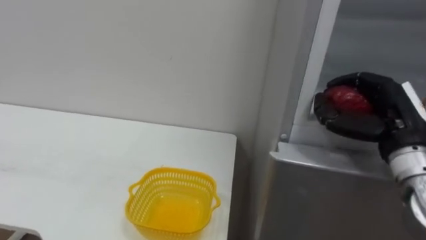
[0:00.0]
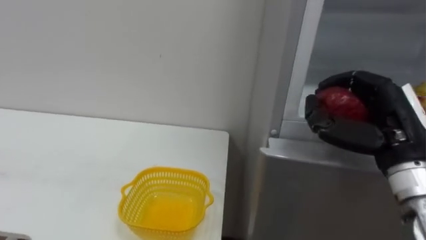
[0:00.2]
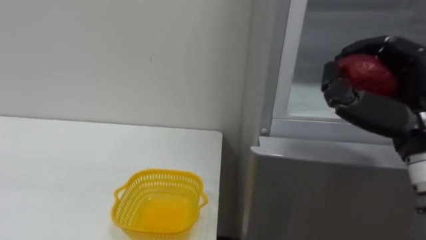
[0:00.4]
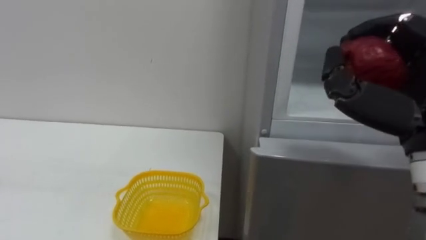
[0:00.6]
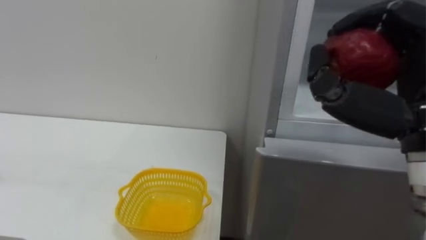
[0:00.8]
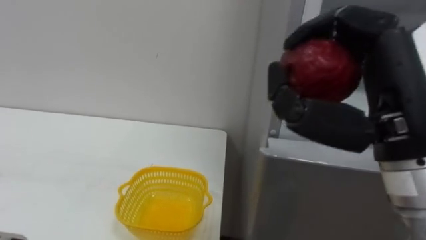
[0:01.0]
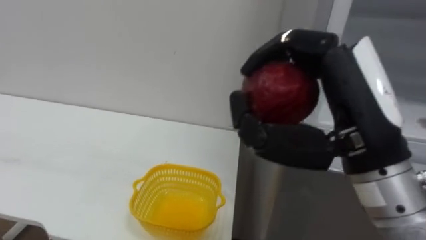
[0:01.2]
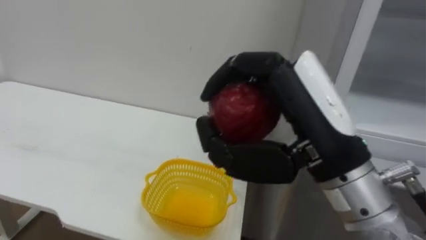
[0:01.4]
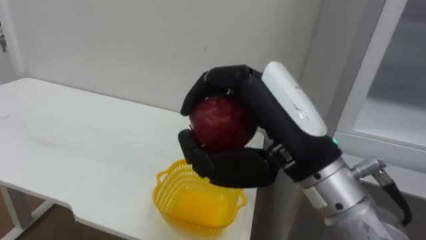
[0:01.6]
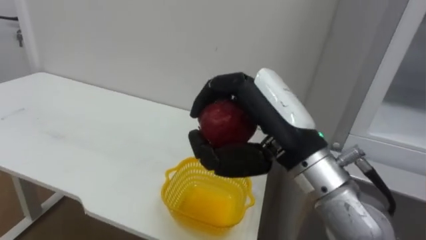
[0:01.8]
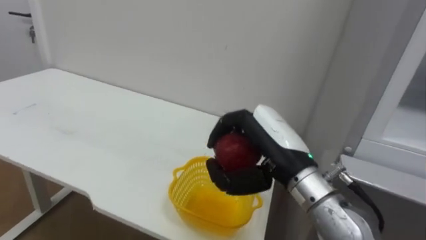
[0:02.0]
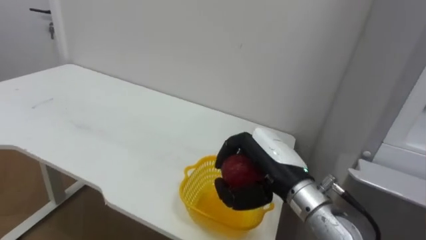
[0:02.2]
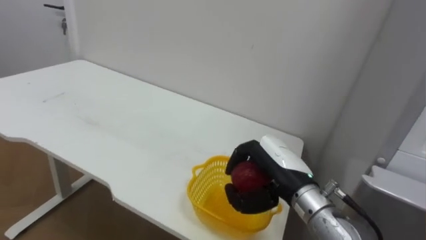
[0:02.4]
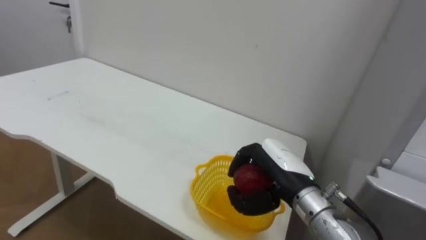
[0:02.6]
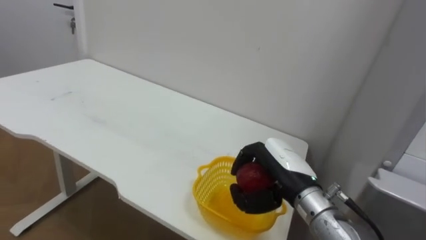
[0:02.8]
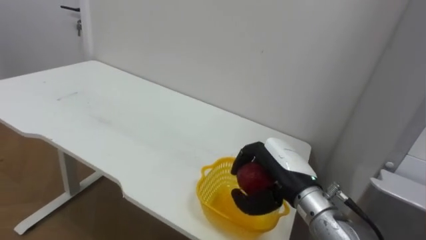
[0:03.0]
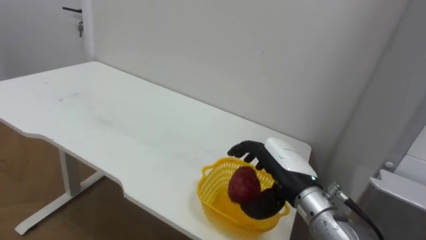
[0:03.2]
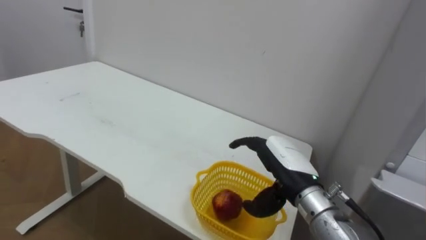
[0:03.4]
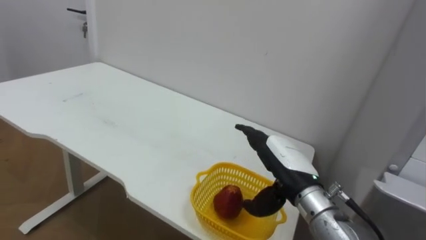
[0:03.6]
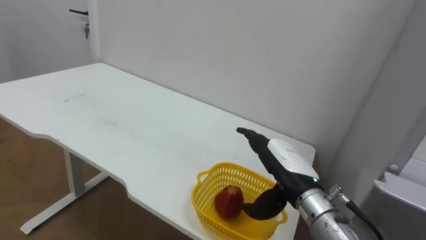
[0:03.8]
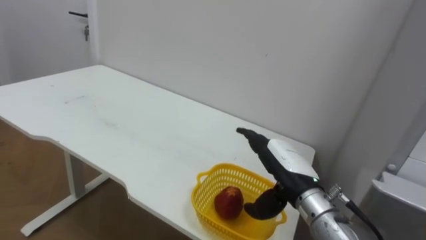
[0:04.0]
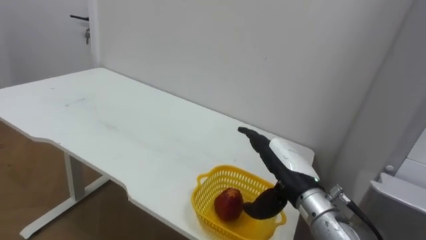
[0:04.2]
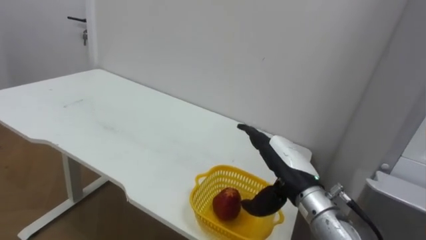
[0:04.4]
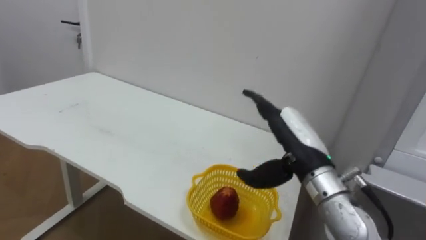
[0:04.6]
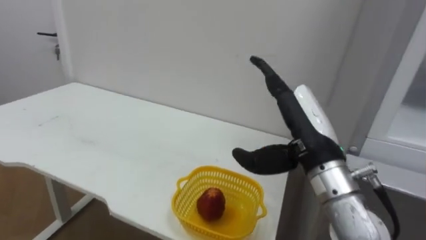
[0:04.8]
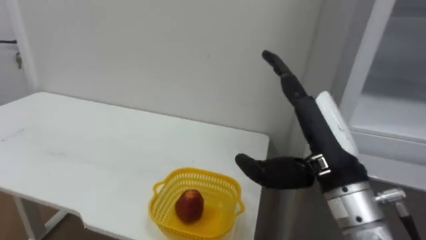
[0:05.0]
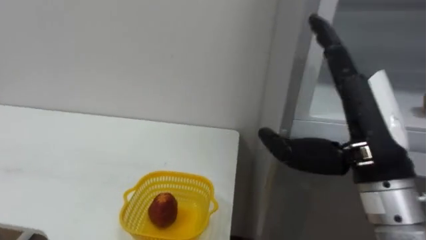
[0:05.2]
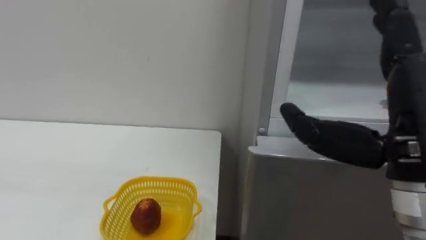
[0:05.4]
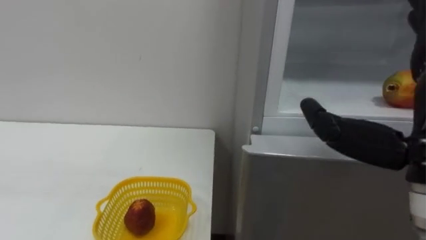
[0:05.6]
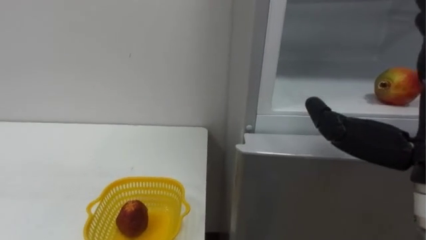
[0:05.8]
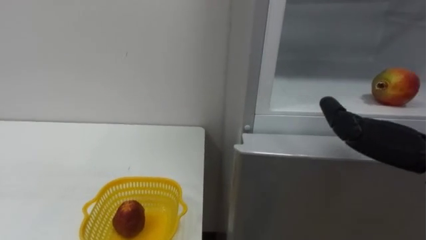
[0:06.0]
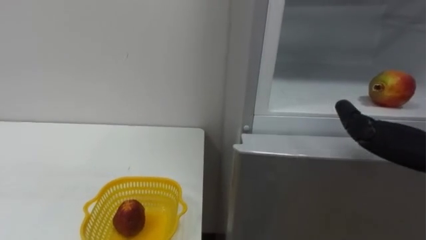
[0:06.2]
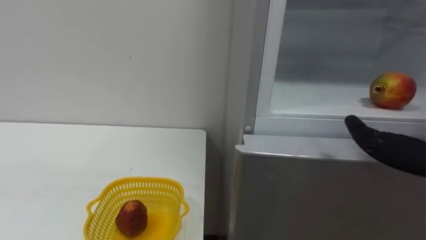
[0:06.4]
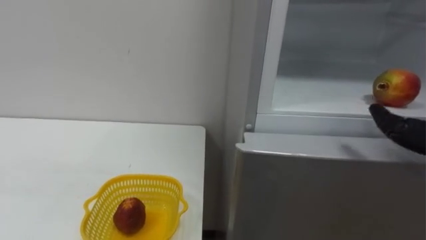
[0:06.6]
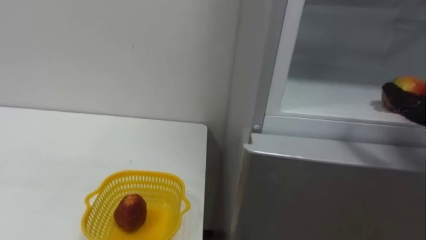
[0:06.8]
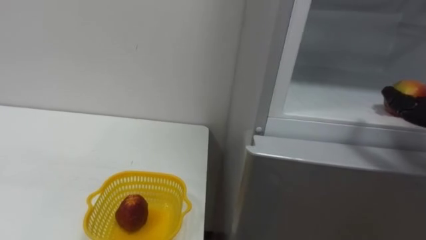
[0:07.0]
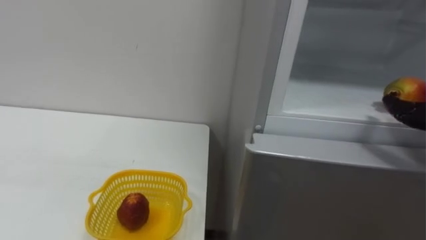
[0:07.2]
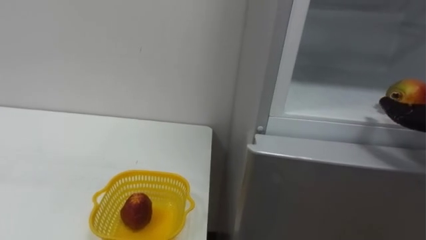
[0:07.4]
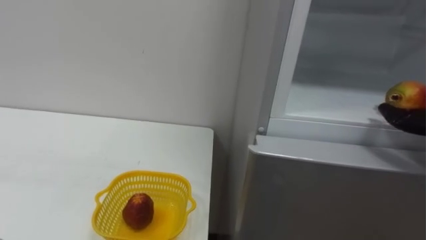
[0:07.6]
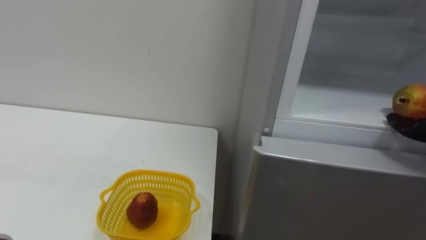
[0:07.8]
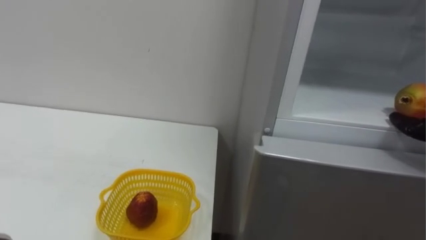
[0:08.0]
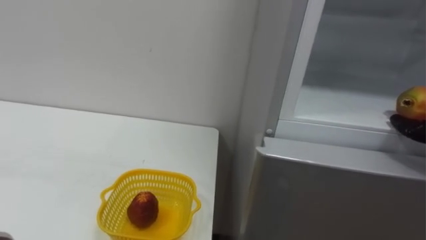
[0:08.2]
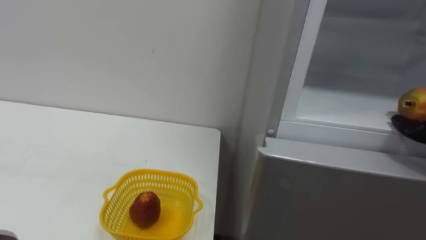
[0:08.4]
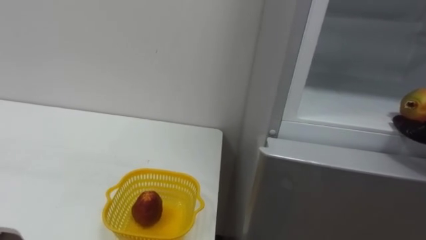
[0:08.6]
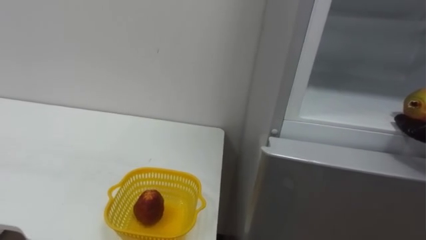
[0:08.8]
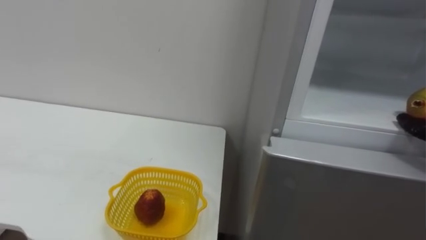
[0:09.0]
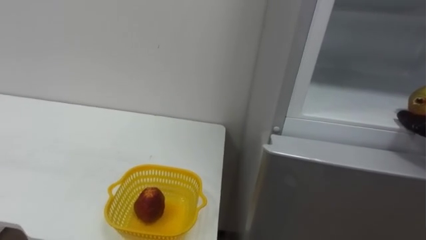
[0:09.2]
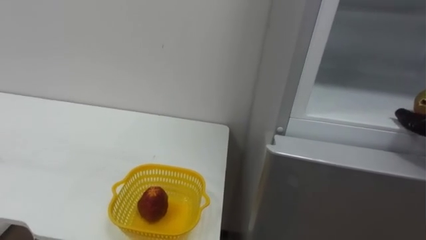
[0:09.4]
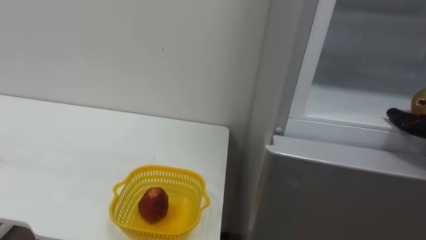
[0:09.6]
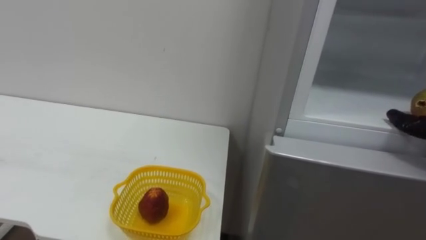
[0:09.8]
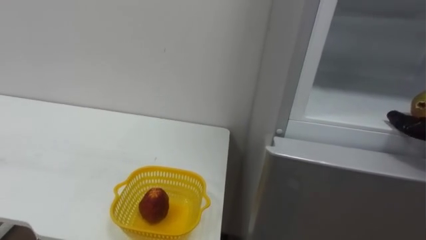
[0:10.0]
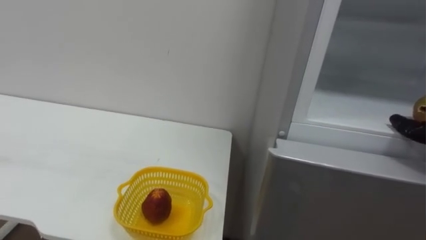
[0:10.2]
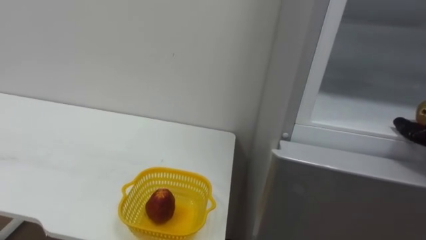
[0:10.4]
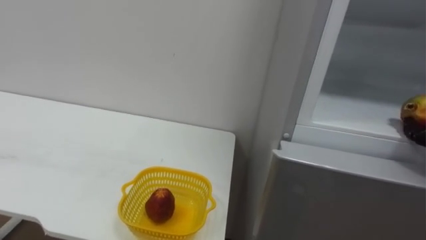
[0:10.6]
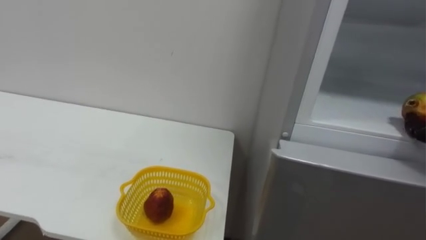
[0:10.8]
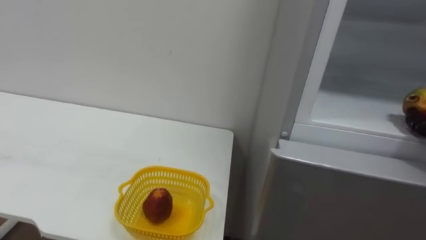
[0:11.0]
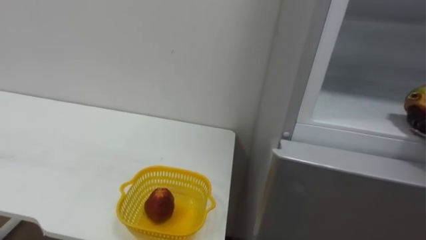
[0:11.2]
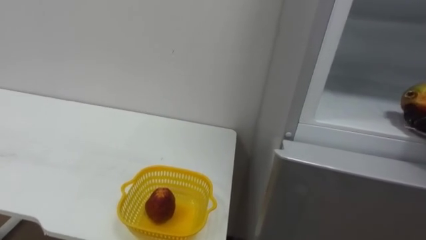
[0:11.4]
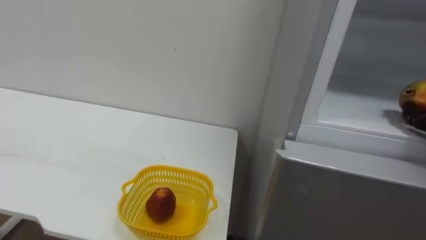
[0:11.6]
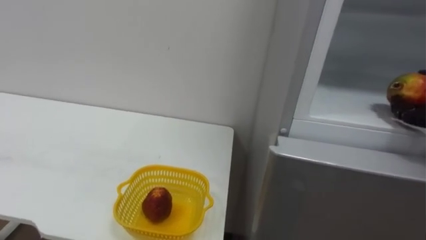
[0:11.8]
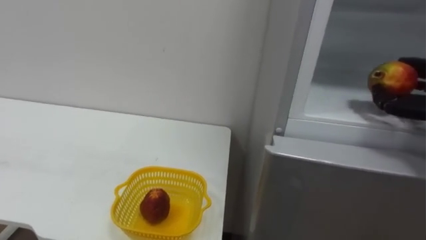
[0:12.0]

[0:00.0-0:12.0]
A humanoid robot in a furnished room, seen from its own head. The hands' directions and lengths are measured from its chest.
Task of the whole recording: Open the refrigerator door, take out the apple and the pomegranate, place them in the fruit basket on the left, and close the refrigerator door.
0:00.0 to 0:01.6: The right hand goes about 25 cm to the left and backward.
0:01.6 to 0:03.0: The right hand heads downward and forward, covering some 20 cm.
0:03.0 to 0:04.4: The right hand opens up.

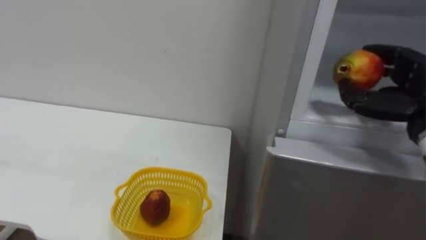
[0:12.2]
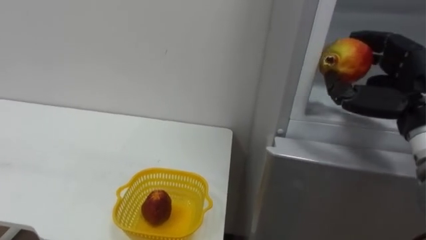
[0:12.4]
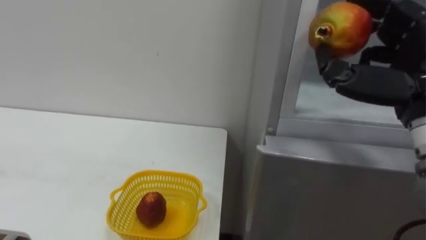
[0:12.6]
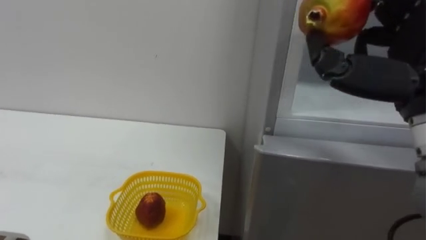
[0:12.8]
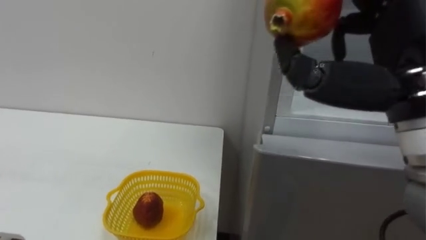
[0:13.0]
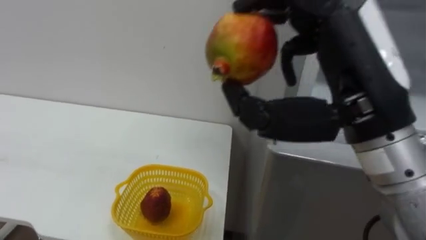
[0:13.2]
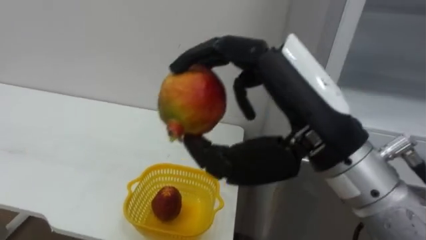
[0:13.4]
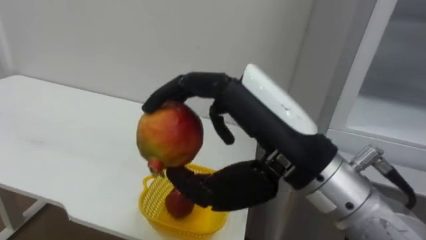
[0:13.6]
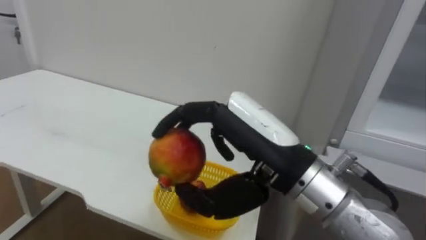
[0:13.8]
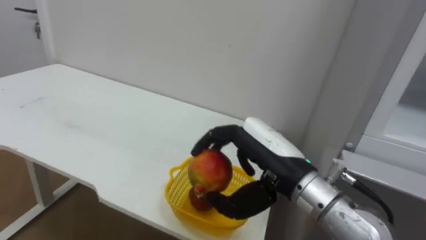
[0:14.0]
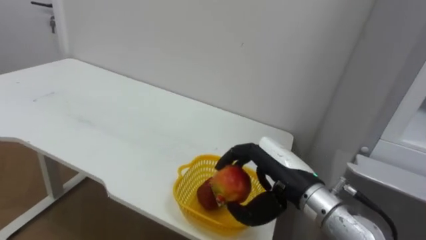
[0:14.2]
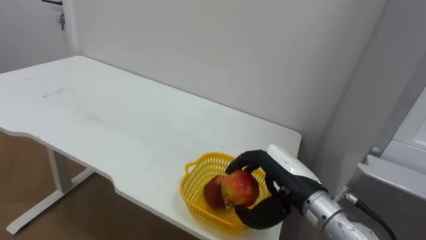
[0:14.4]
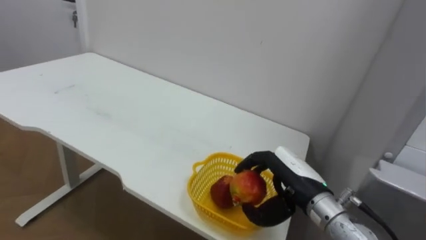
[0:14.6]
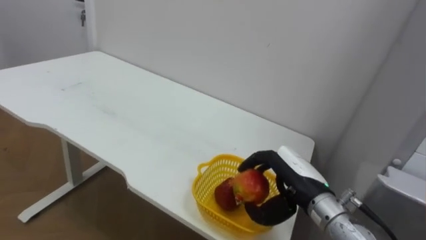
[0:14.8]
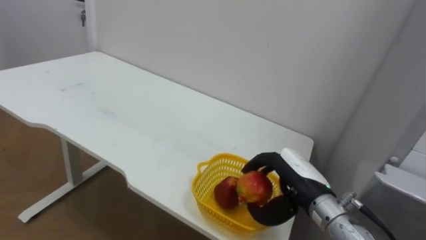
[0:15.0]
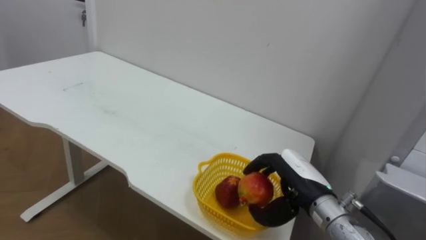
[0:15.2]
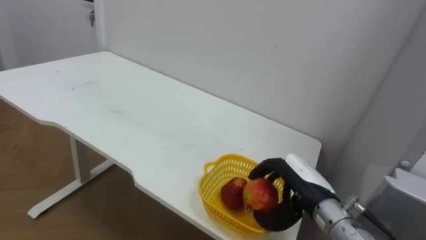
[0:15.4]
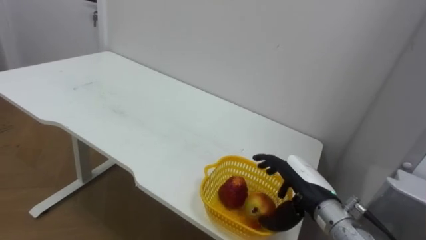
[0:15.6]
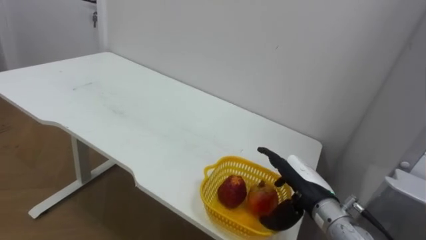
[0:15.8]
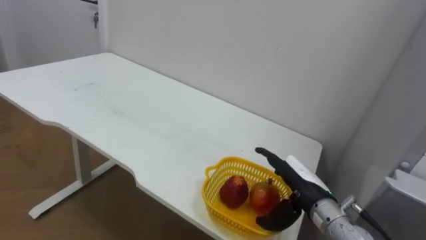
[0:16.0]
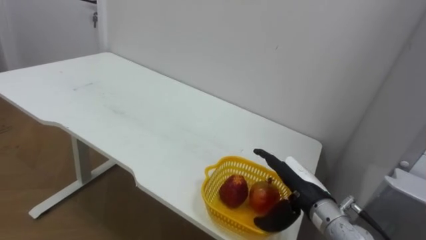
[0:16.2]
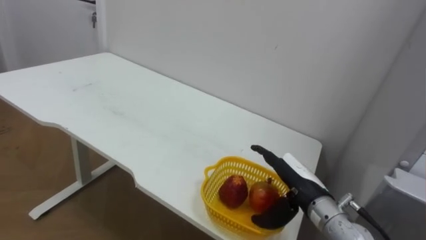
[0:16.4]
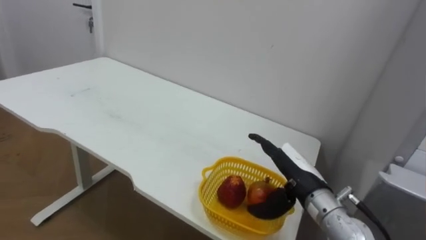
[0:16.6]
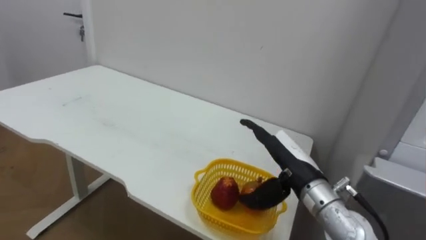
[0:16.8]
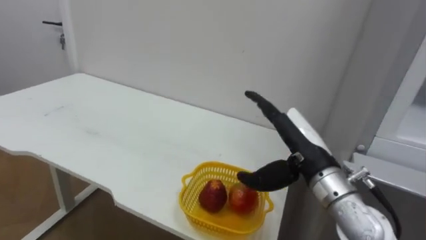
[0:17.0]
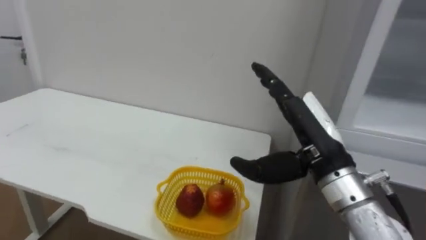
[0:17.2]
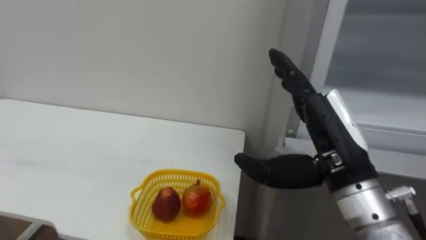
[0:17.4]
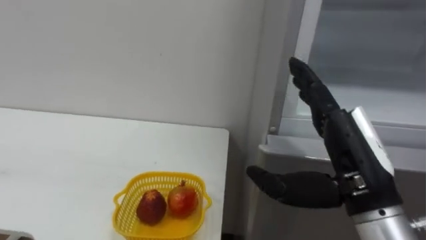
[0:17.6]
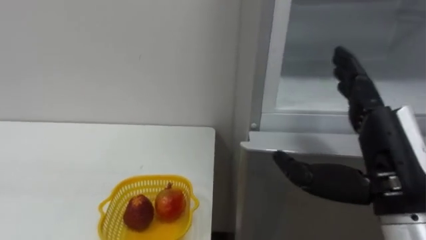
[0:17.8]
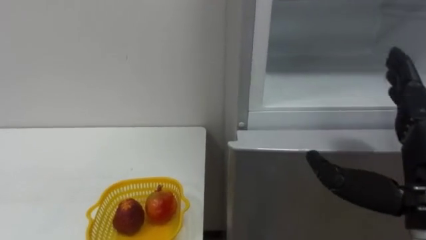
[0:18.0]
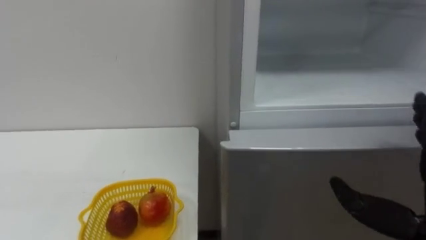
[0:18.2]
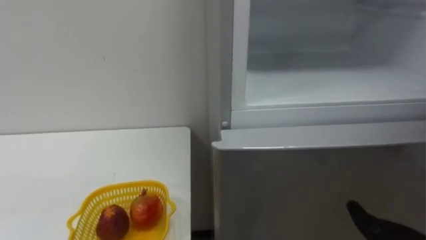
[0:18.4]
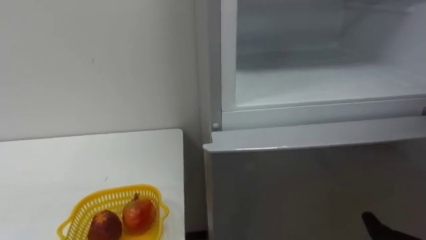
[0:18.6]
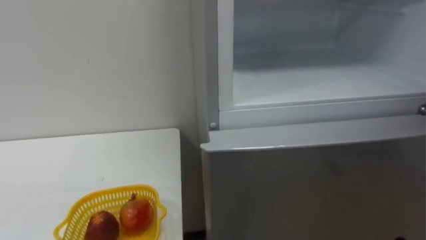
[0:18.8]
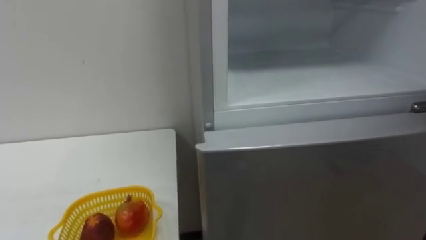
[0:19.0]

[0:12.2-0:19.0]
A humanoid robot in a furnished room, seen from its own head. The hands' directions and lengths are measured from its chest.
Task of the whole recording: Open the refrigerator door, take out the apple and the pomegranate, place them in the fruit basket on the left, and close the refrigerator door.
0:13.6 to 0:15.0: The right hand goes some 25 cm downward and forward.
0:15.0 to 0:16.2: The right hand opens up.
0:16.2 to 0:17.6: The right hand goes about 20 cm upward and backward.
